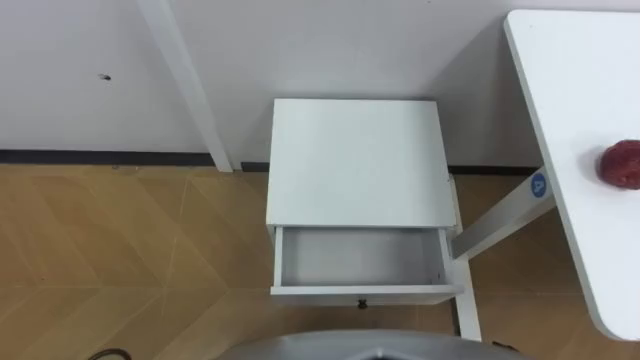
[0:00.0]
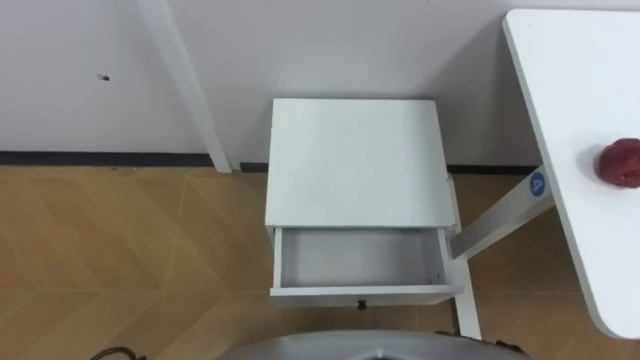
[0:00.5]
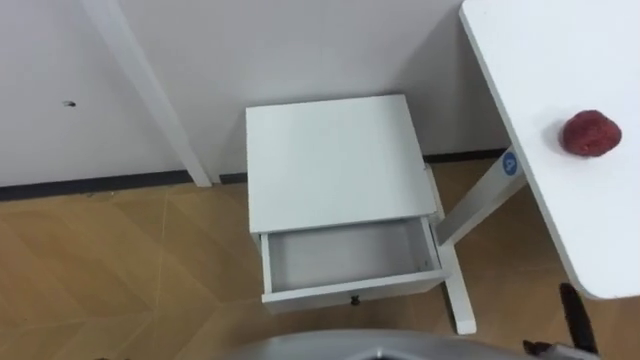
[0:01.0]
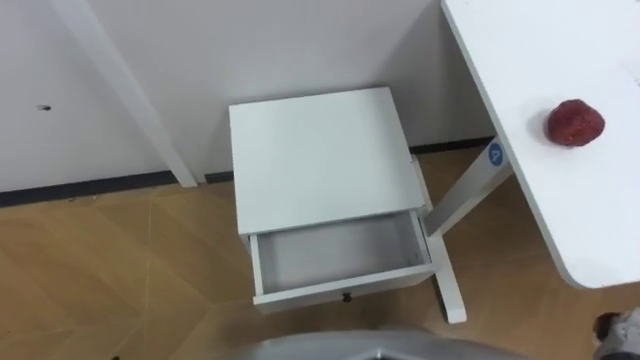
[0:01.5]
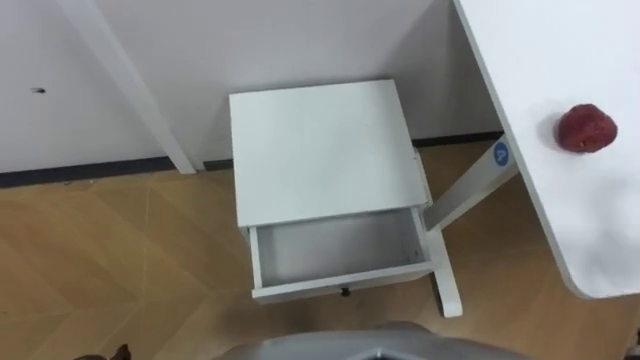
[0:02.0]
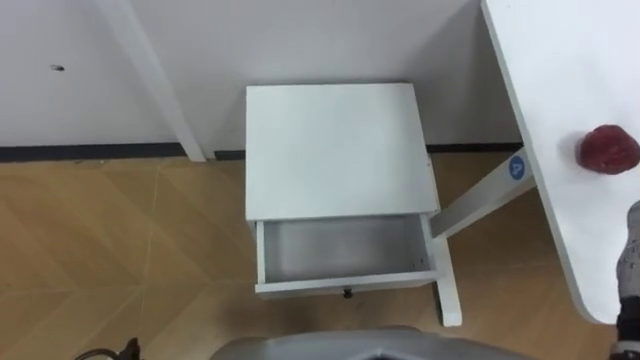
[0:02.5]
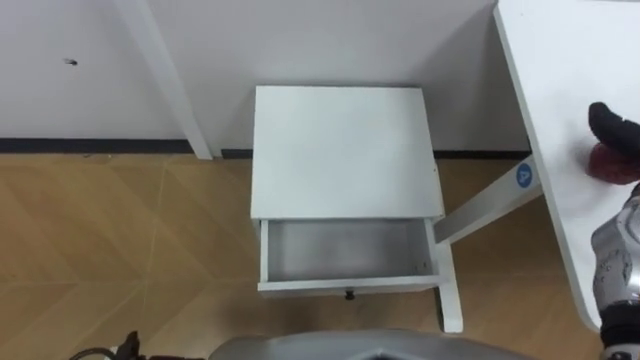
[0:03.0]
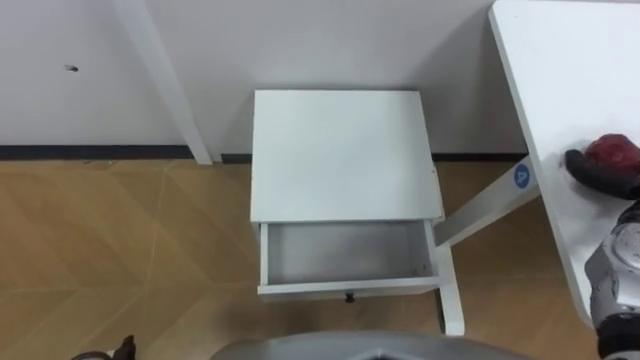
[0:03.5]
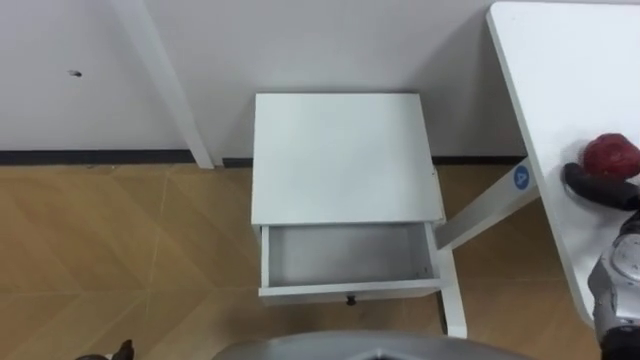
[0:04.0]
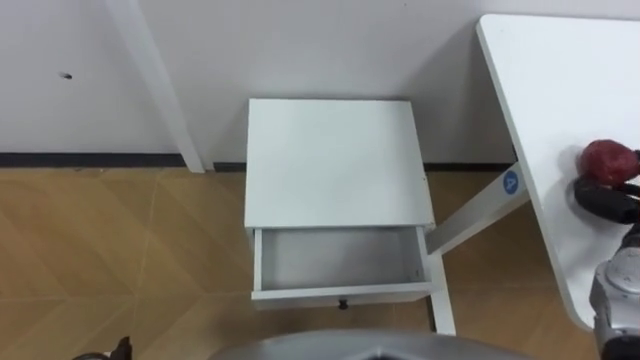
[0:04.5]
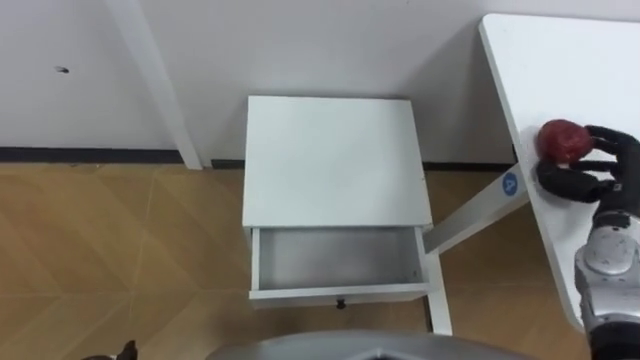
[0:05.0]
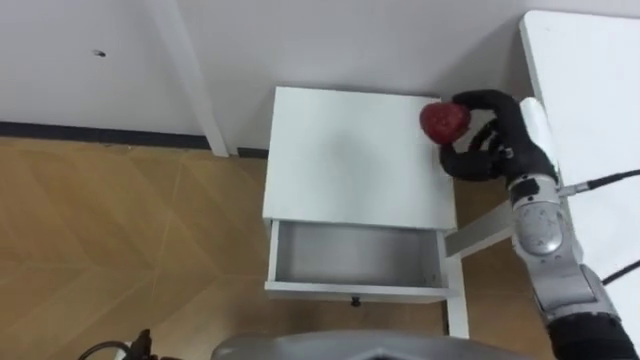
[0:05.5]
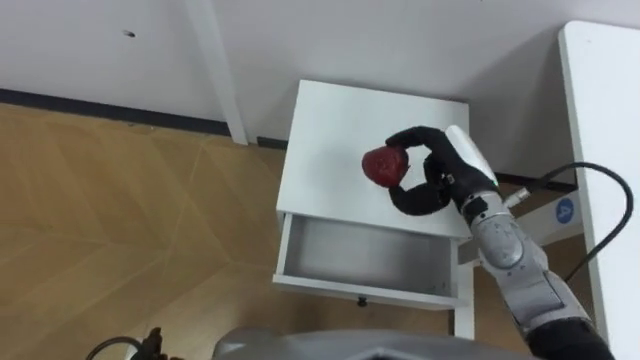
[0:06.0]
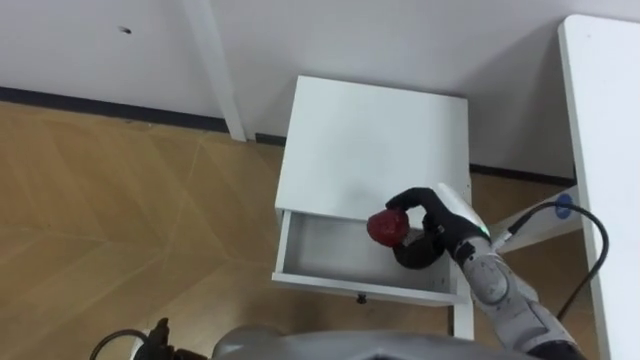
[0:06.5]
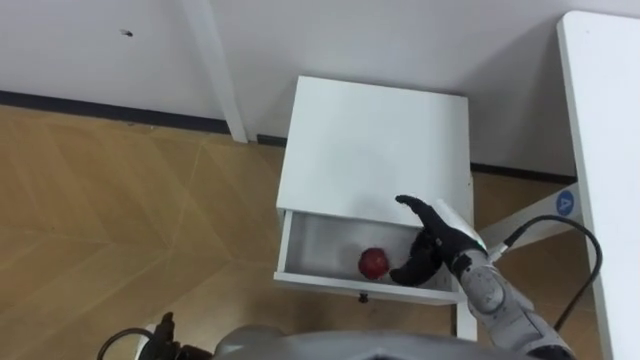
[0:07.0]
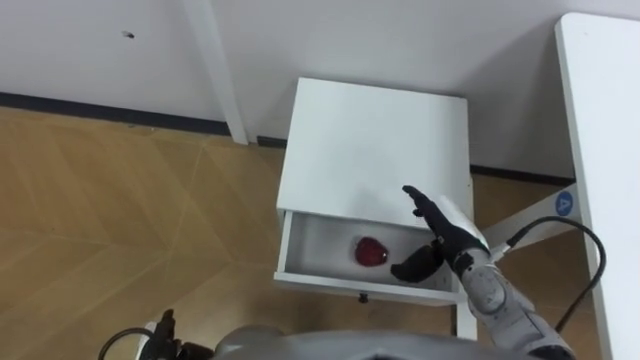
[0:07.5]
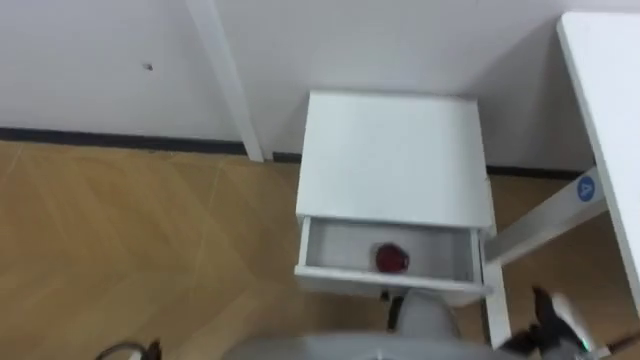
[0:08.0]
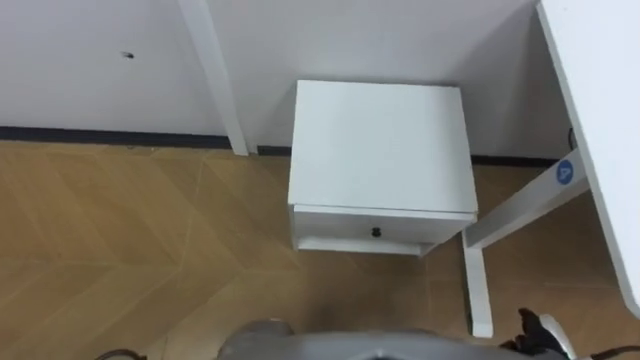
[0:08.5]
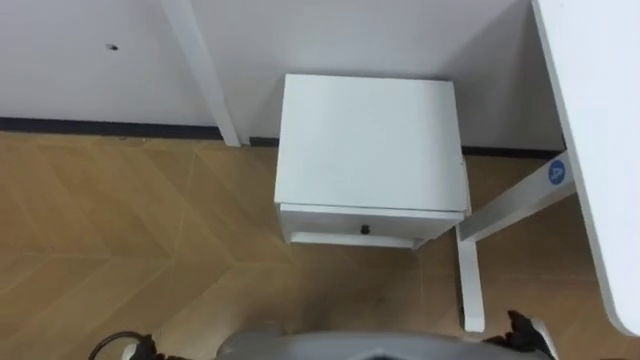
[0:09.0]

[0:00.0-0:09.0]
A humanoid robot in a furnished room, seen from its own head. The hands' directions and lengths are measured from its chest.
Task of the whole recording: Pick up the apple from the table, put it in the drawer, and close the drawer with leg.
0:07.0 to 0:09.0: The right hand moves backward, to the right and downward, approximately 20 cm.

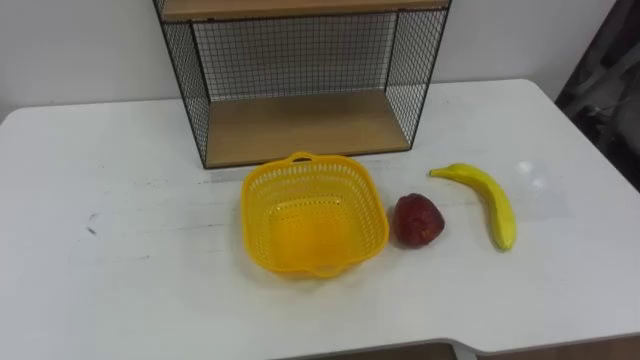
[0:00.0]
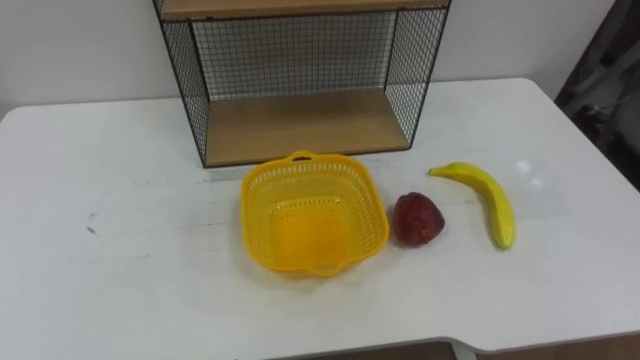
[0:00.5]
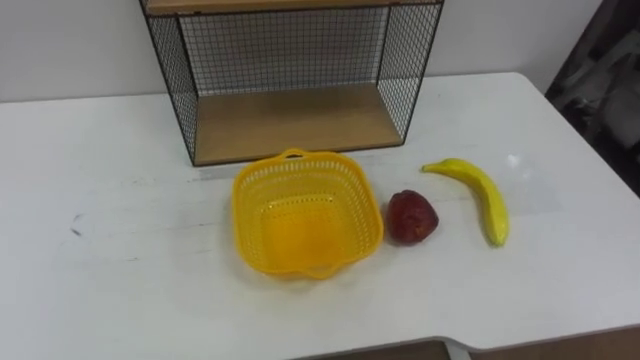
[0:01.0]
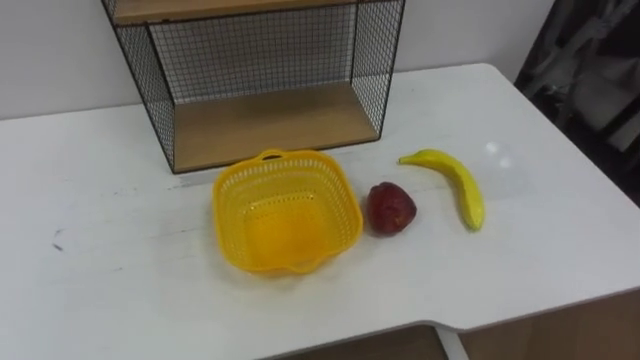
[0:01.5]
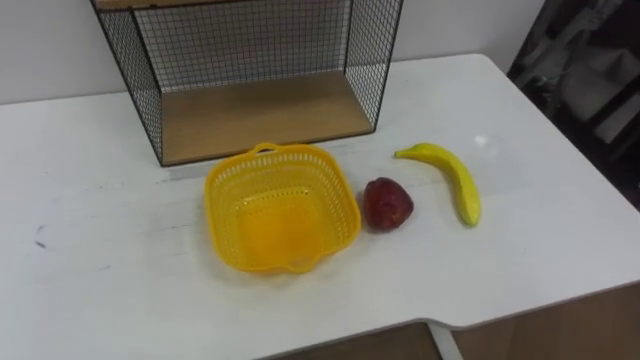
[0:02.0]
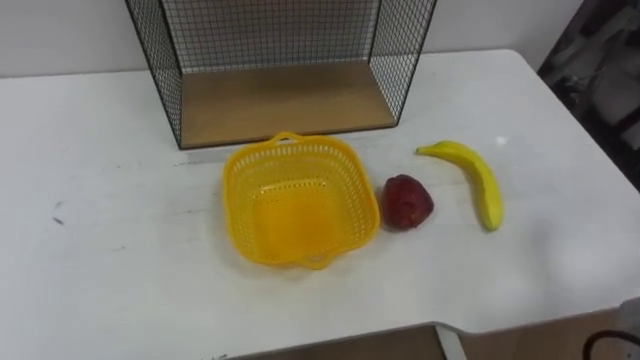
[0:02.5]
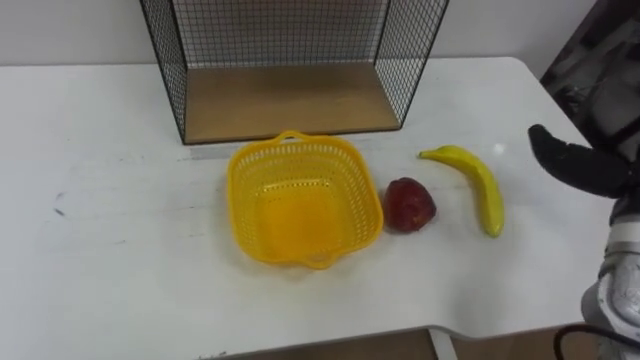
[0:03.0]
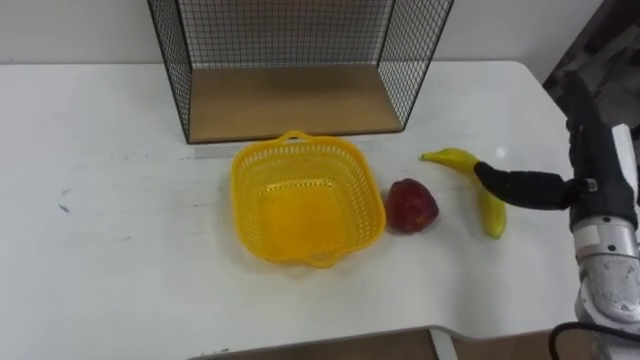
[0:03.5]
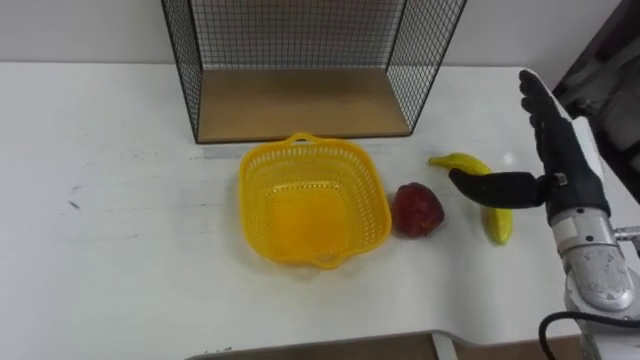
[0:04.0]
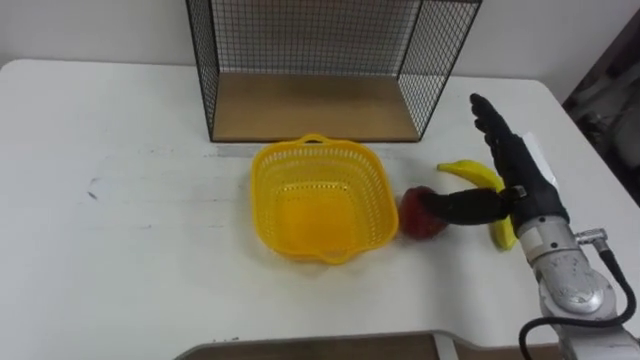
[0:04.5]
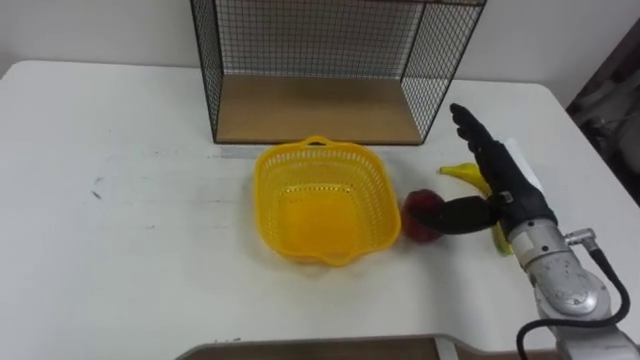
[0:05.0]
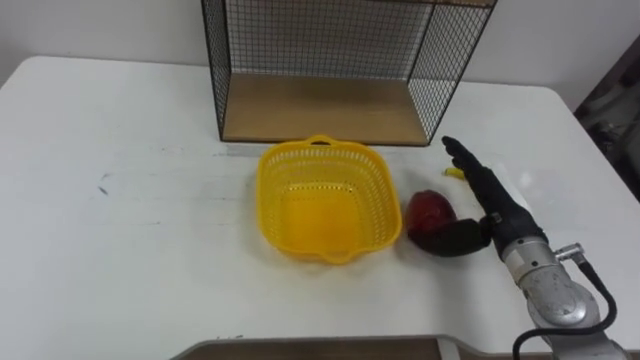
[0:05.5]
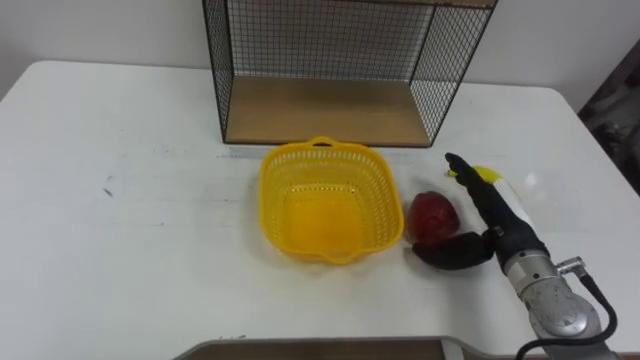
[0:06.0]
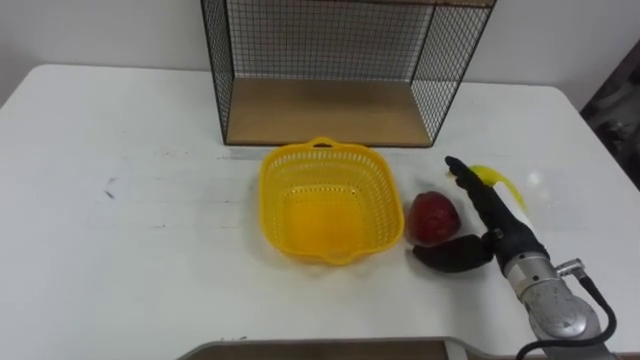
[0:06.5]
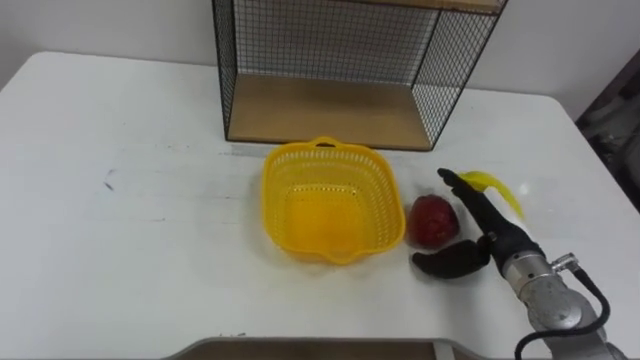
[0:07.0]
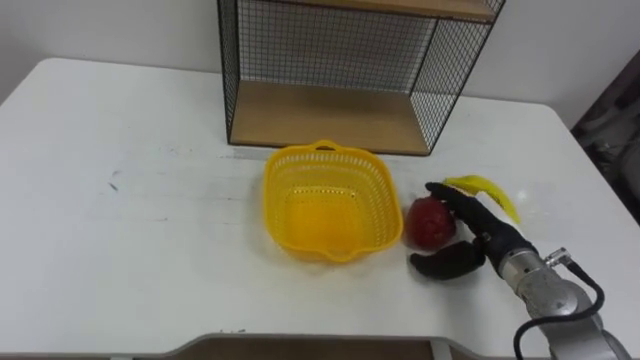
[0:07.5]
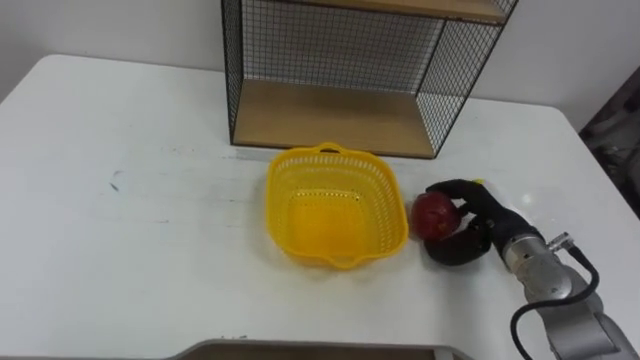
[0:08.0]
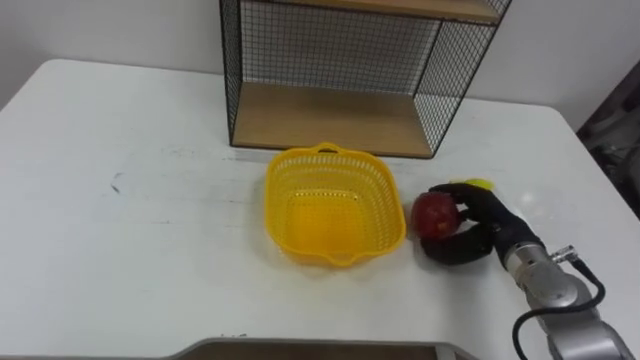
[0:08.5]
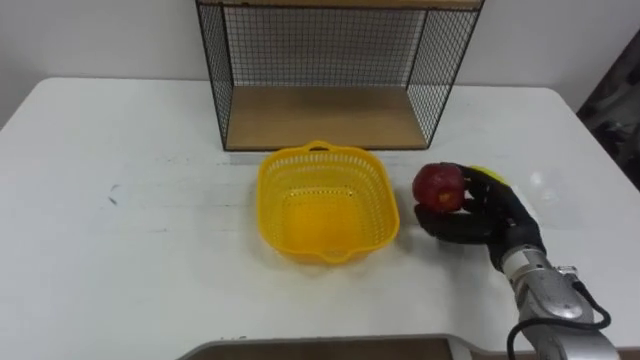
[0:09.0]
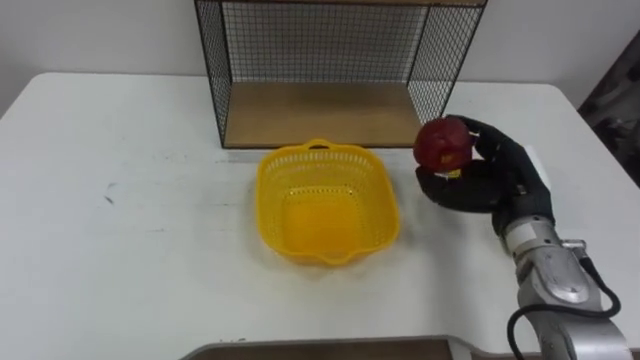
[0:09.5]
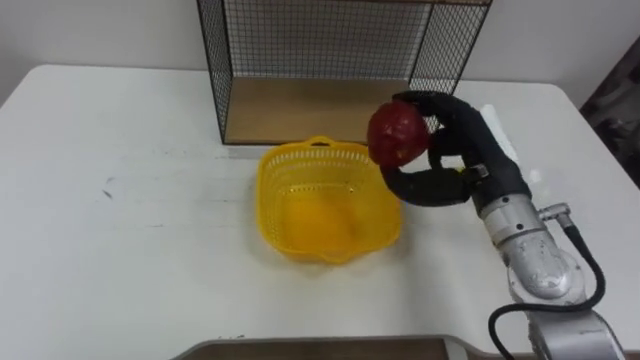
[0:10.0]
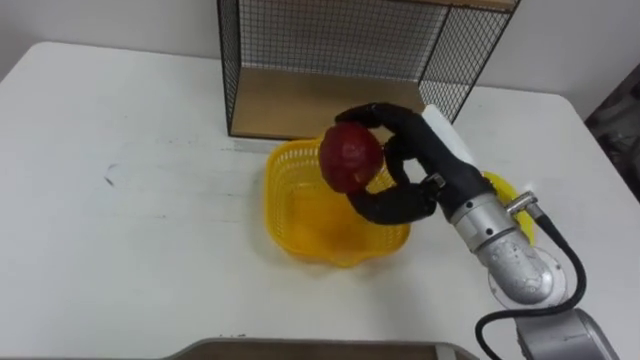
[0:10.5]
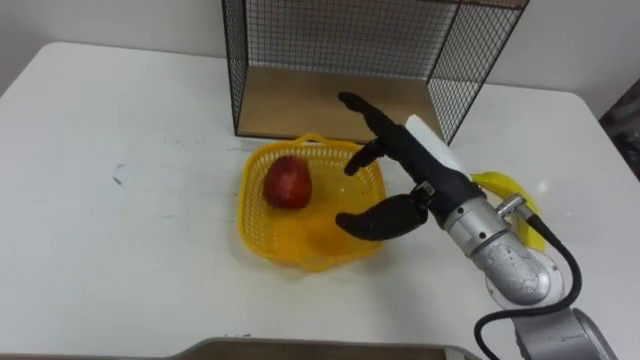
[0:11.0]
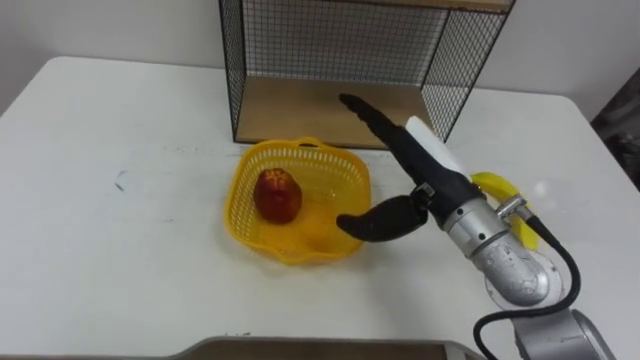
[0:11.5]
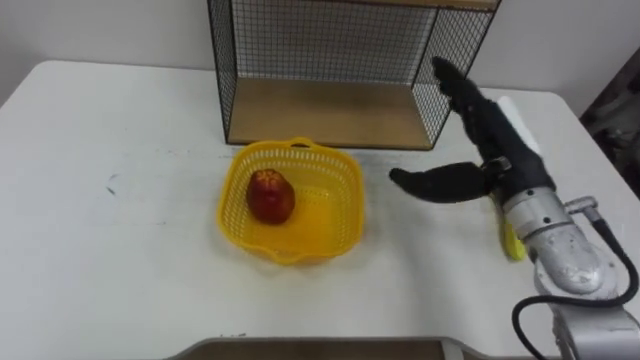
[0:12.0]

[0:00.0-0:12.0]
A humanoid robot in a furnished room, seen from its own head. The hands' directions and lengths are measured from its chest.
Task of the whole recording: Put the fruit on the table into the basket, then place the basket on the shelf.
0:04.0 to 0:06.0: The right hand is displaced downward by approximately 10 cm.
0:06.0 to 0:08.0: The right hand closes.
0:08.0 to 0:10.0: The right hand travels upward and to the left by about 15 cm.
0:10.0 to 0:12.0: The right hand moves some 5 cm to the left and comes back, and opens.
